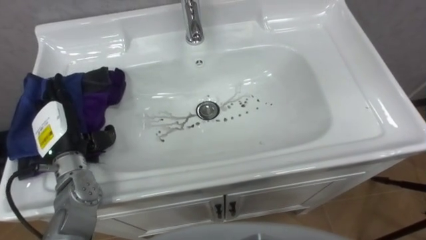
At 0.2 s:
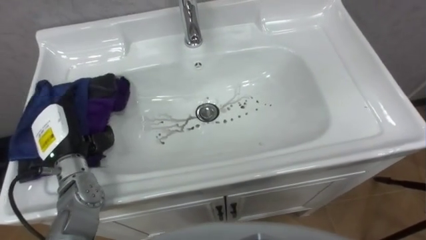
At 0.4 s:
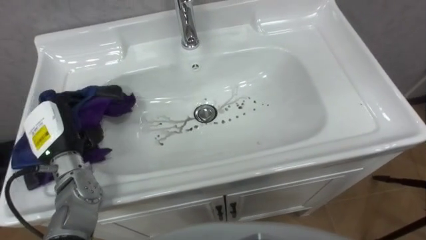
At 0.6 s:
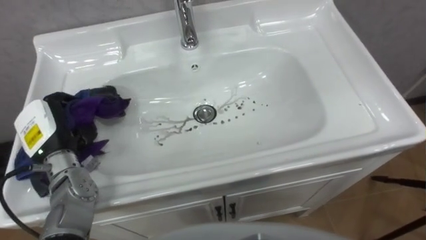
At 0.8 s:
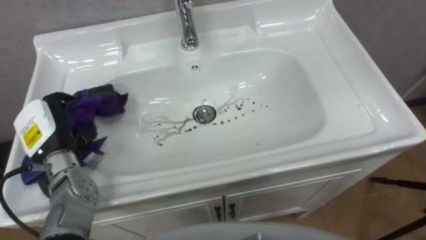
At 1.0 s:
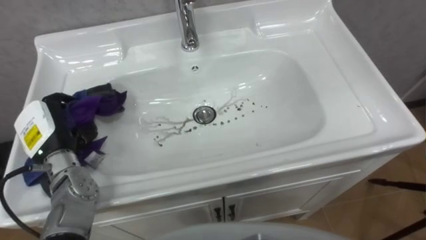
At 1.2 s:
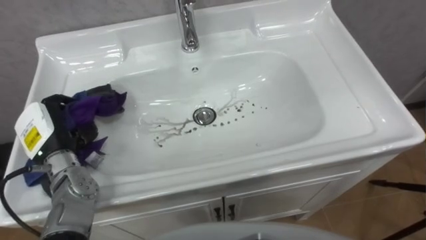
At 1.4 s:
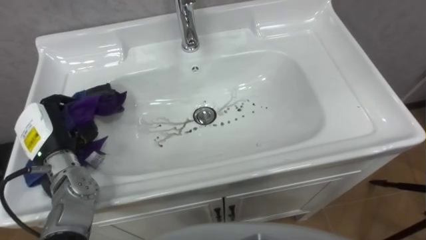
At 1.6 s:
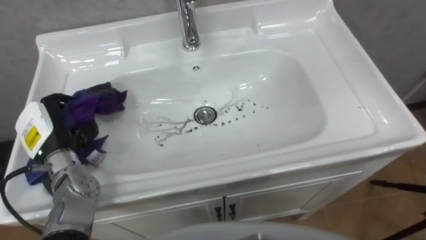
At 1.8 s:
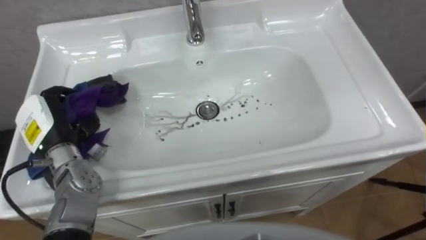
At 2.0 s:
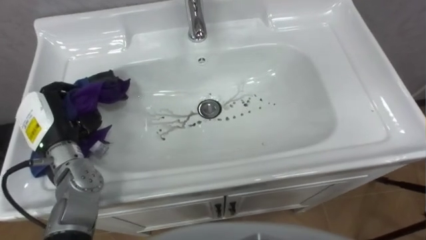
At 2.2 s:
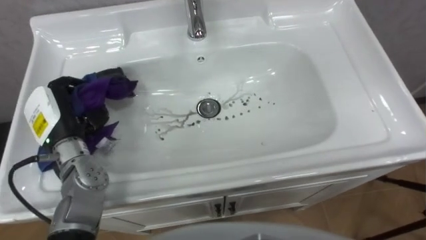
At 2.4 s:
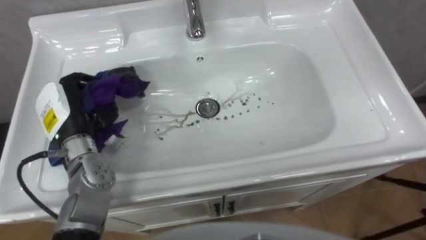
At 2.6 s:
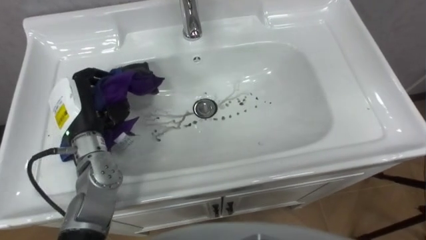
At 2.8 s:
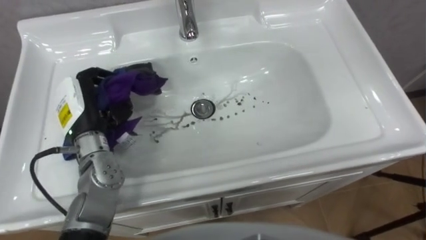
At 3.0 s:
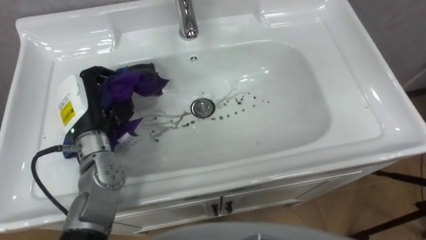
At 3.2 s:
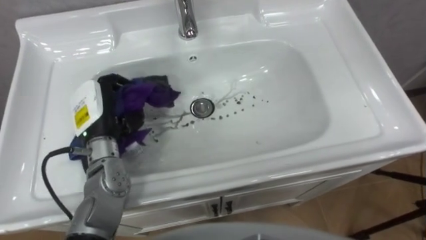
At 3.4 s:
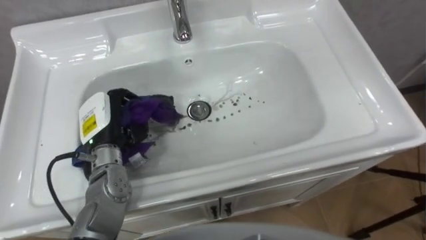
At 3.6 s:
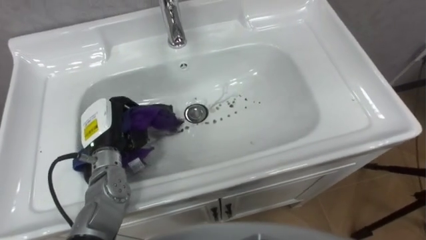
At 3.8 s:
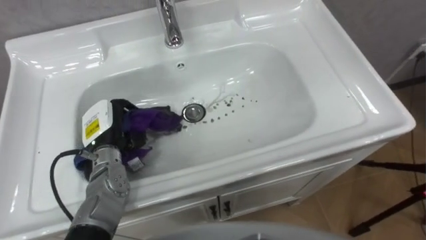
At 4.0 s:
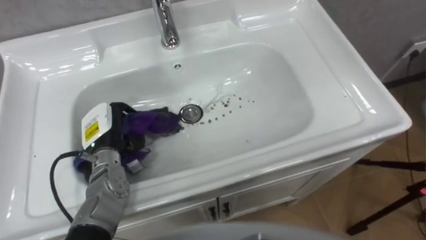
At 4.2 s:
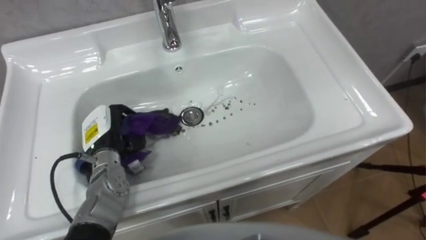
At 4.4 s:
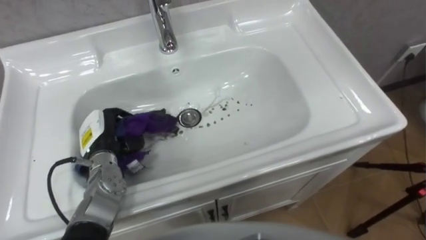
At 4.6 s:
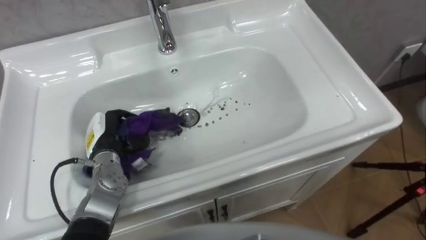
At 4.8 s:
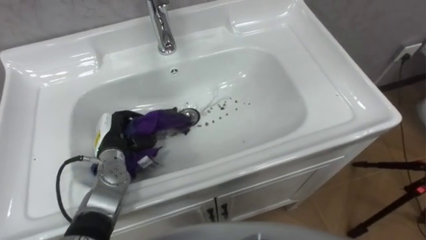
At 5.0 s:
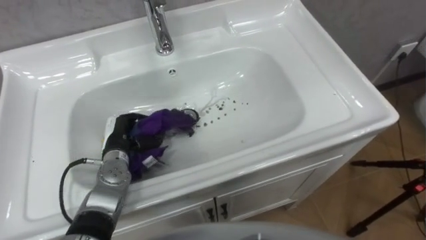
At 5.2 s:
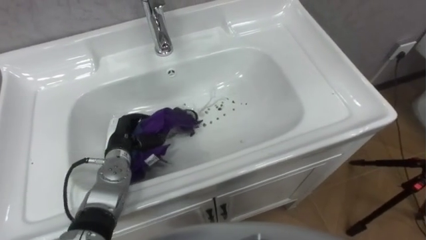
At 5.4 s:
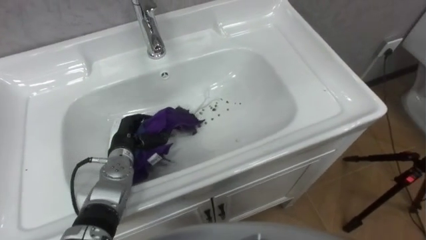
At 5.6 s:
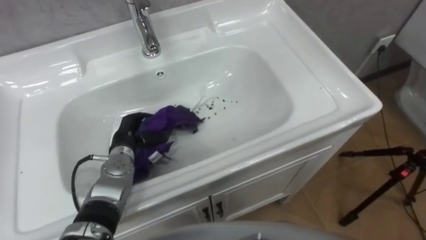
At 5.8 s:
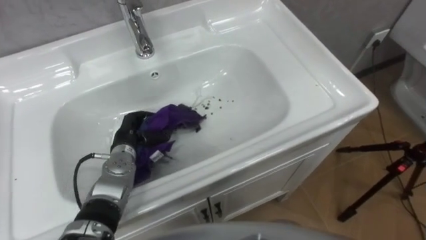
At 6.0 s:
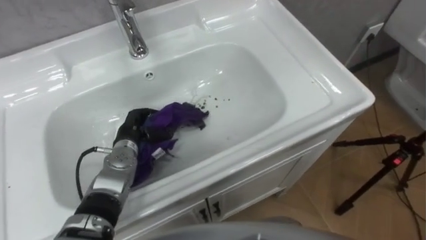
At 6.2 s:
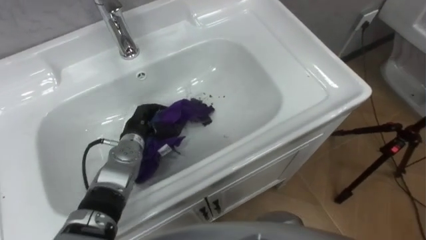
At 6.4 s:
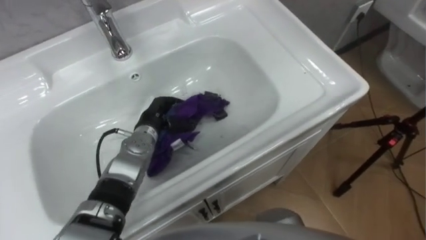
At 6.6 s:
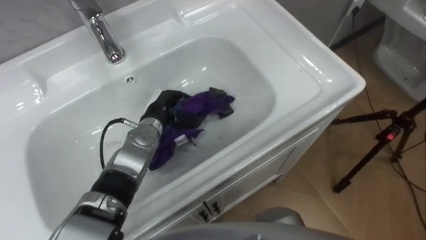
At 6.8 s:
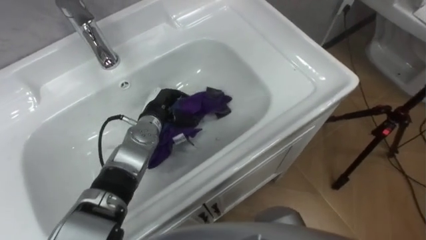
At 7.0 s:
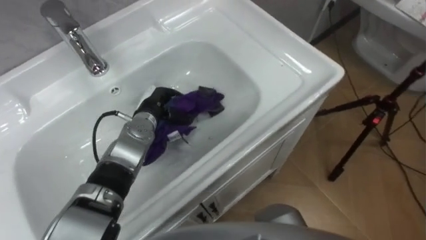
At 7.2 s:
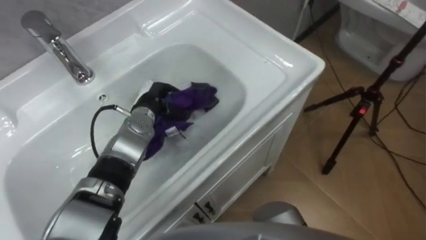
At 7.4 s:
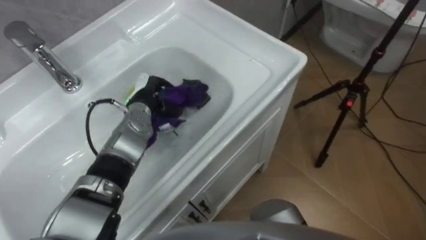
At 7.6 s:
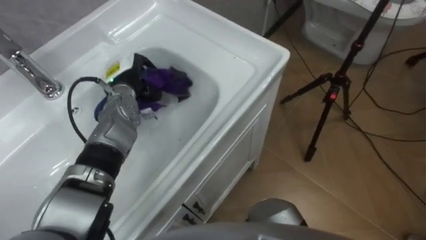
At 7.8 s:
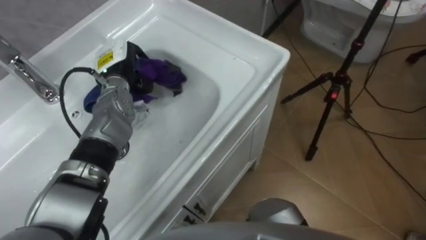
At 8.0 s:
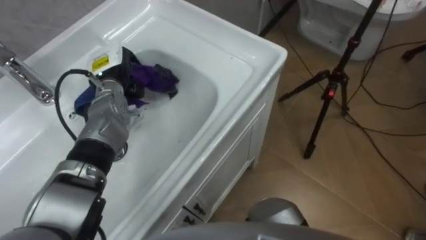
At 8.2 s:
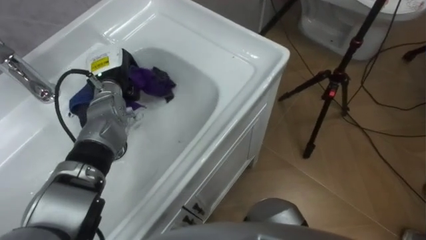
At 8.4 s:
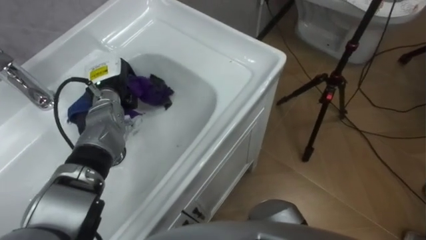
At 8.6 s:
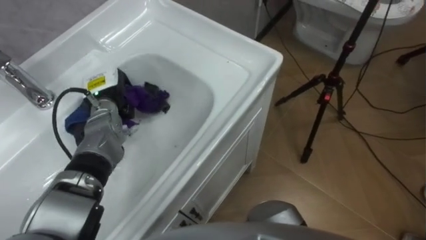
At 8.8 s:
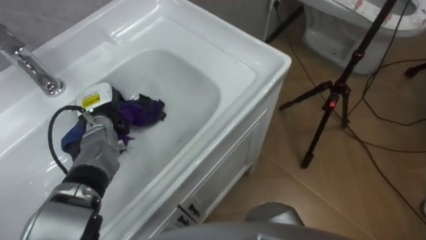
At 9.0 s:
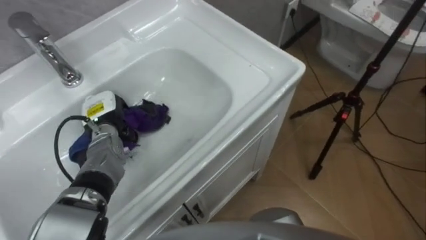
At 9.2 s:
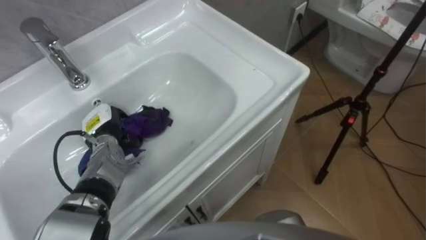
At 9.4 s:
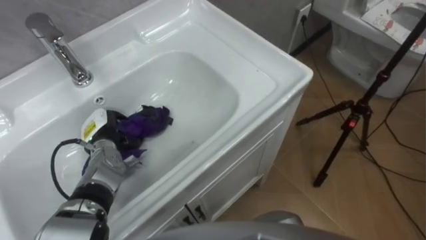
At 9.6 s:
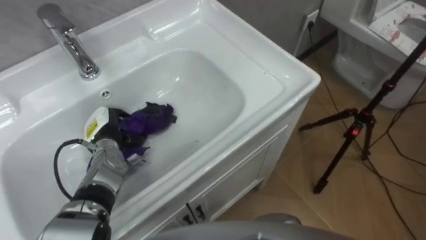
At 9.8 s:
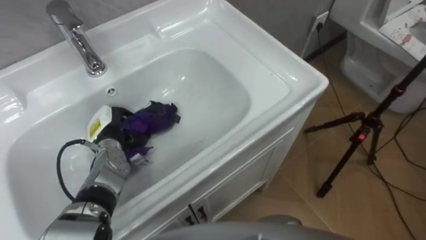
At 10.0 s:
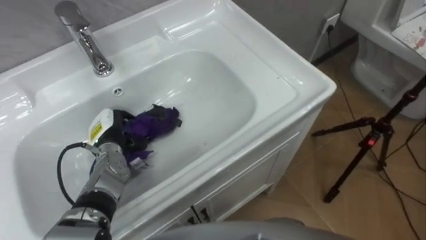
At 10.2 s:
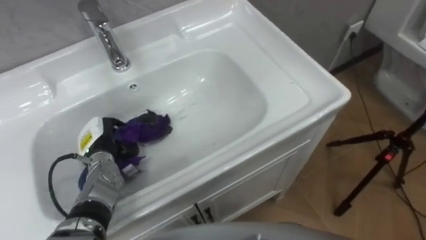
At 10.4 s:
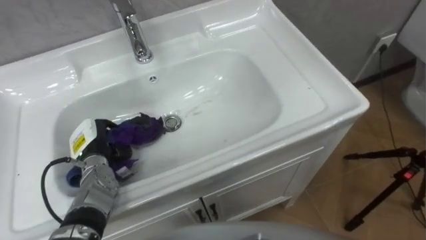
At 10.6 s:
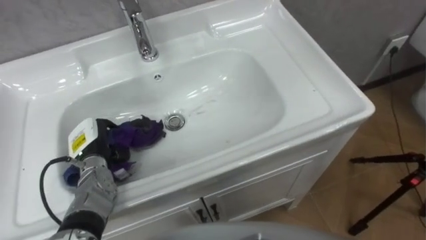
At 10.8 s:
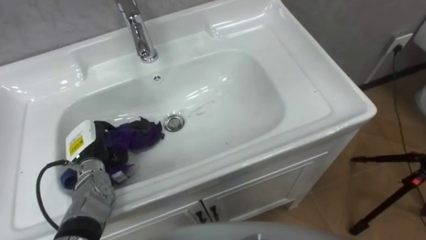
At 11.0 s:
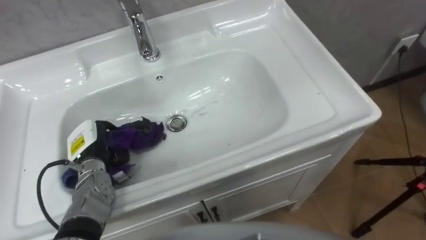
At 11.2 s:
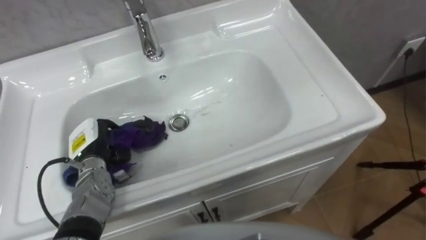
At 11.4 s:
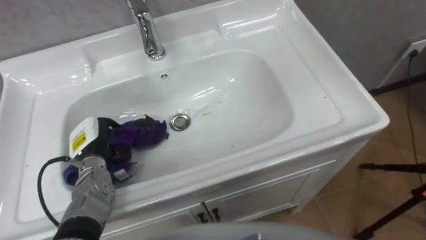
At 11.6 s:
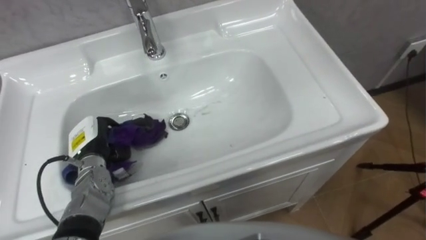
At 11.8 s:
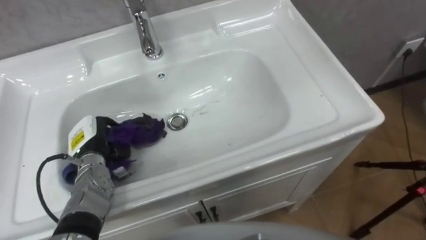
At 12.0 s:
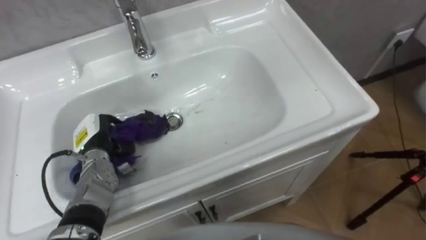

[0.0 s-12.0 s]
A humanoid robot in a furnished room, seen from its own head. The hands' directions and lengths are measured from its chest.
Task of the whole recording: Use the cloth on the right to wipe away the black stain in the sink.
0.0 to 1.6 s: The left hand closes its fingers.
1.6 to 3.0 s: The left hand shifts about 5 cm to the right.
3.0 to 4.4 s: The left hand heads downward, covering about 10 cm.
4.4 to 6.0 s: The left hand is displaced to the right by roughly 5 cm.
6.0 to 7.6 s: The left hand shifts about 15 cm forward and upward.
7.6 to 9.0 s: The left hand shifts approximately 10 cm to the left, backward and downward.
9.0 to 10.4 s: The left hand goes some 5 cm backward.

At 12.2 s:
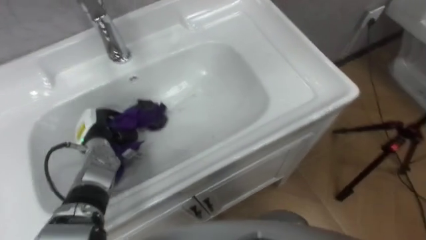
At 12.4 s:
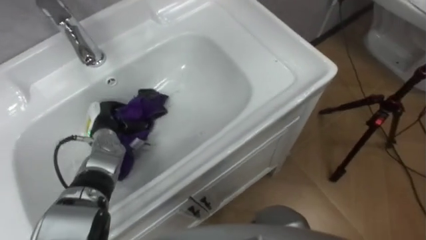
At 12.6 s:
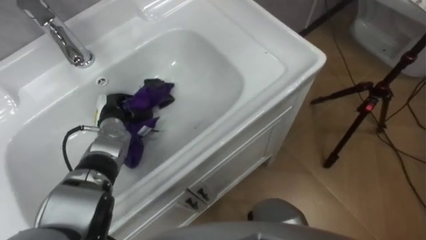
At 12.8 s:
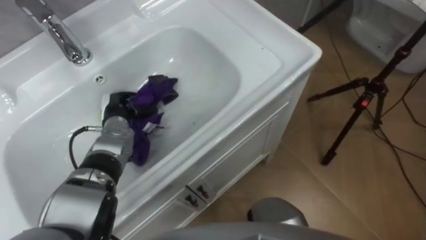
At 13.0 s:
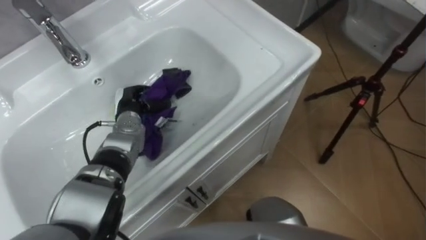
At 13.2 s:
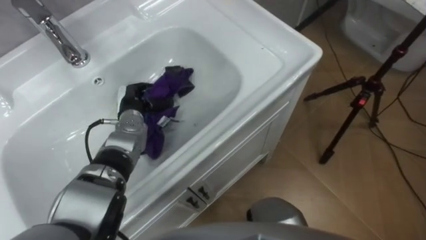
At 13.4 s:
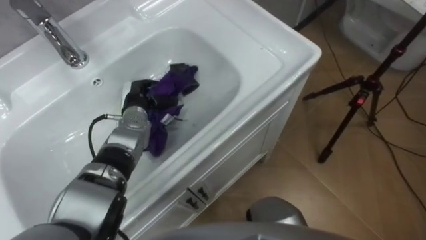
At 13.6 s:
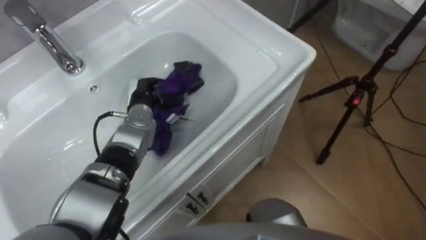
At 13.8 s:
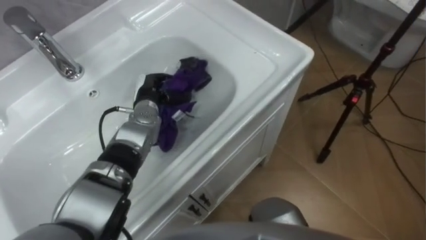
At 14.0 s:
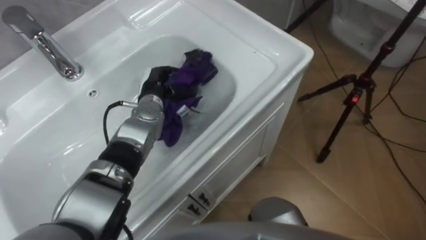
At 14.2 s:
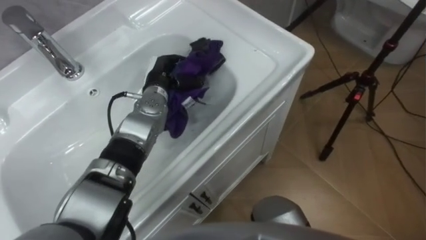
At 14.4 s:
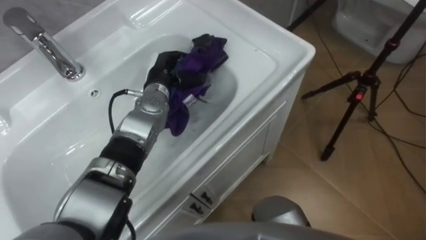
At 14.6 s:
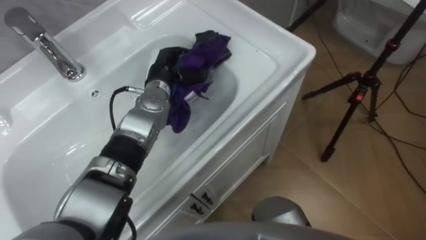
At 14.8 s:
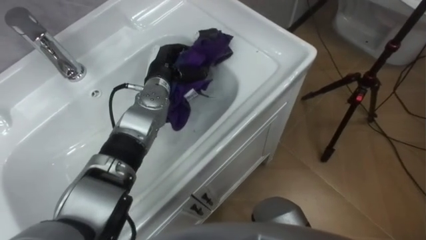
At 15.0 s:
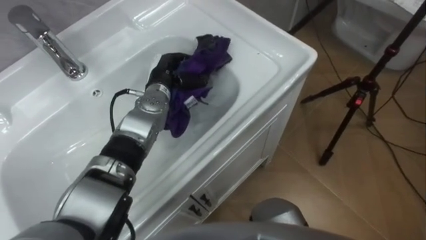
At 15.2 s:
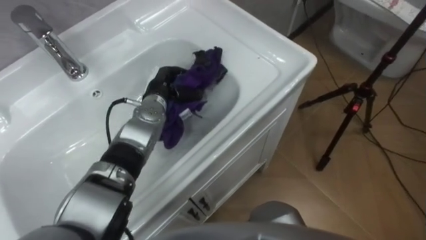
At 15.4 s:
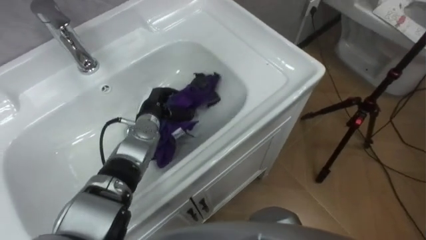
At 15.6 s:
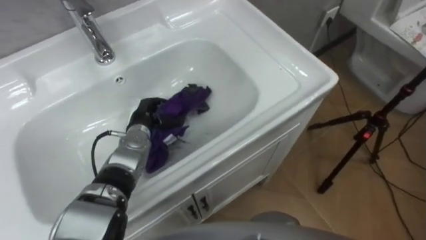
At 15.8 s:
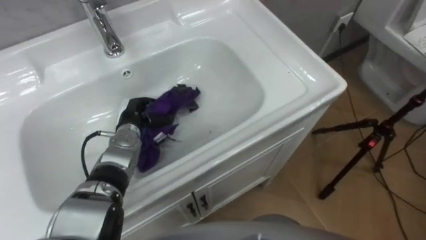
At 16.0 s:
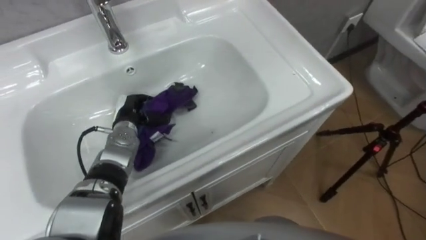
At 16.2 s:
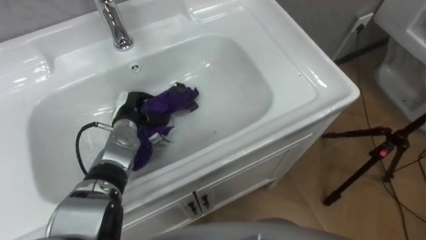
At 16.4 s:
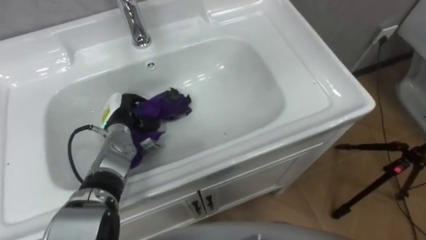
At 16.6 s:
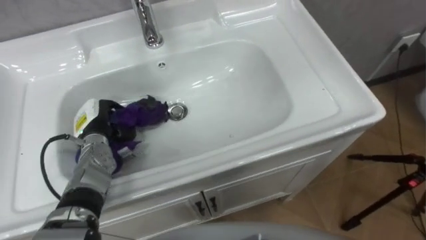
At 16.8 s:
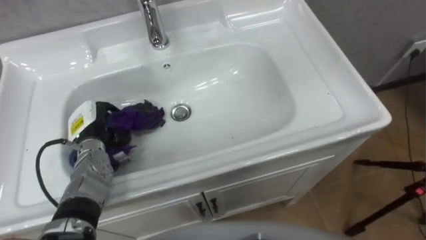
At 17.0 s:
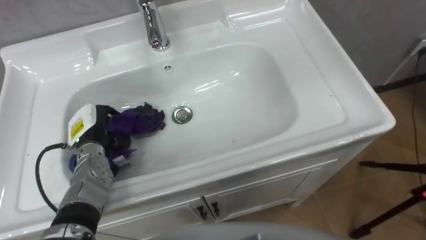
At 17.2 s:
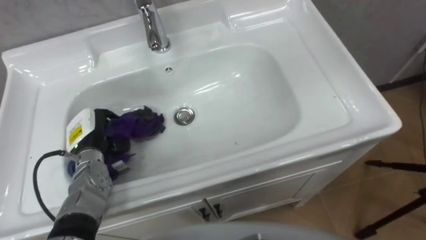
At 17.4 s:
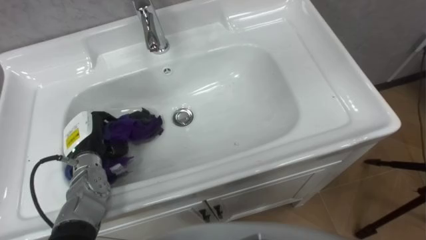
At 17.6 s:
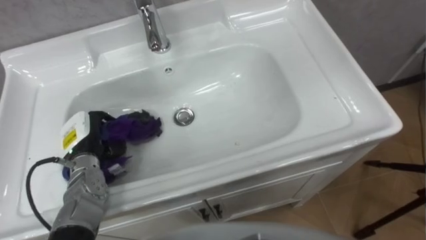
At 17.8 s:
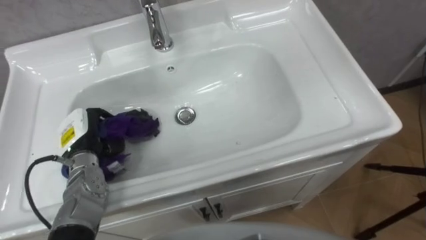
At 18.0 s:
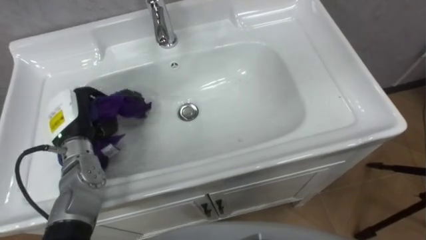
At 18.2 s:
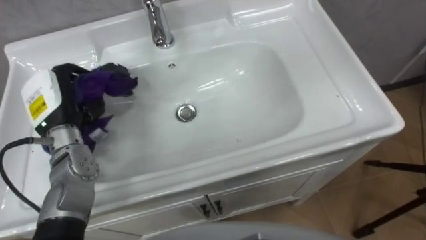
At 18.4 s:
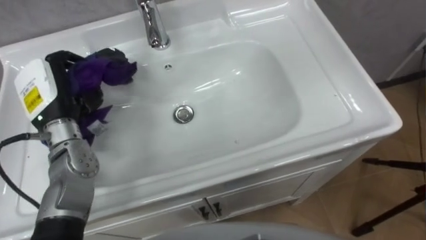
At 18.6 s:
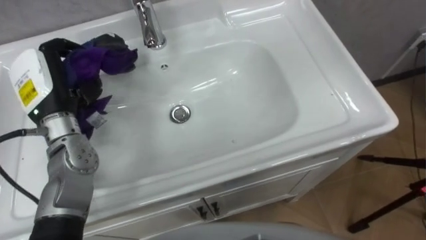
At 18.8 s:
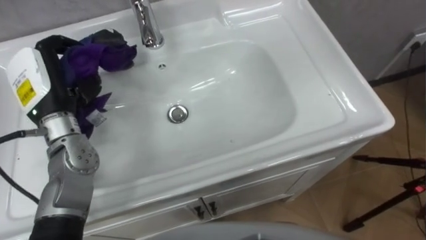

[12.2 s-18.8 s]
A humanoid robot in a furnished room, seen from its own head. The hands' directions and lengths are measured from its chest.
Task of the whole recording: Use the cloth on the right to wipe away the black stain in the sink.
12.2 to 13.8 s: The left hand travels to the right and forward by about 15 cm.
13.8 to 15.4 s: The left hand goes upward and returns, some 5 cm each way.
15.4 to 17.2 s: The left hand moves to the left and backward, roughly 15 cm.
17.2 to 18.8 s: The left hand moves upward, roughly 15 cm.
